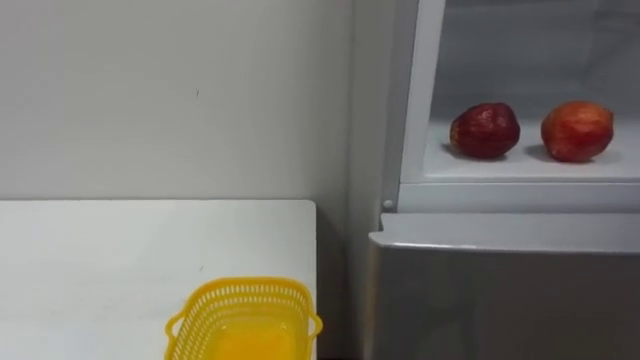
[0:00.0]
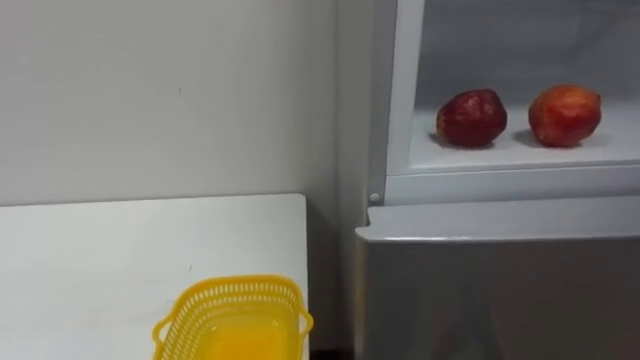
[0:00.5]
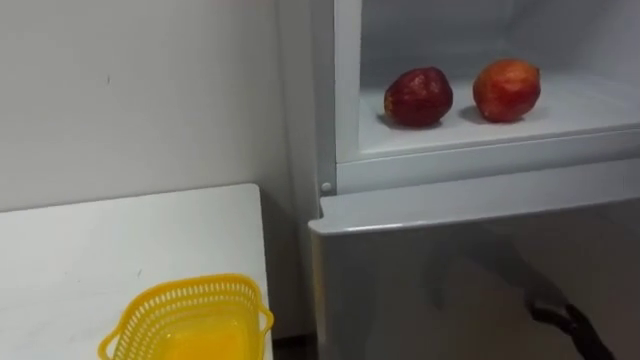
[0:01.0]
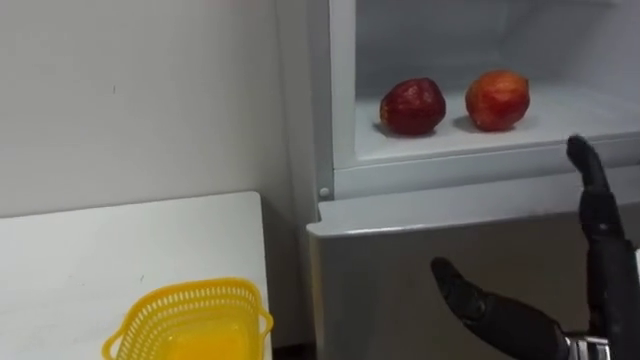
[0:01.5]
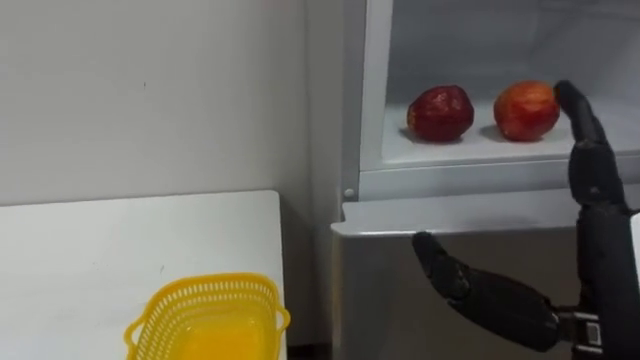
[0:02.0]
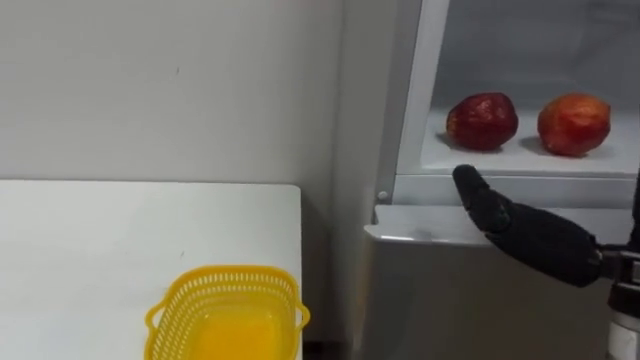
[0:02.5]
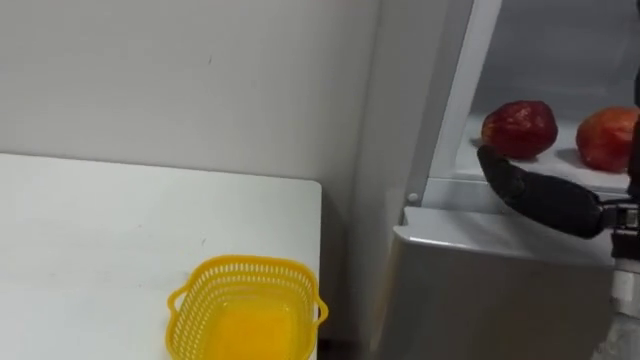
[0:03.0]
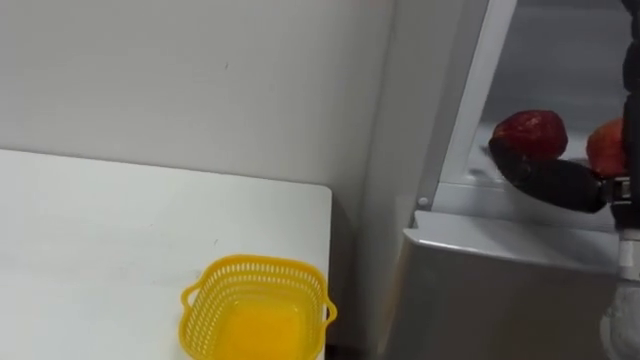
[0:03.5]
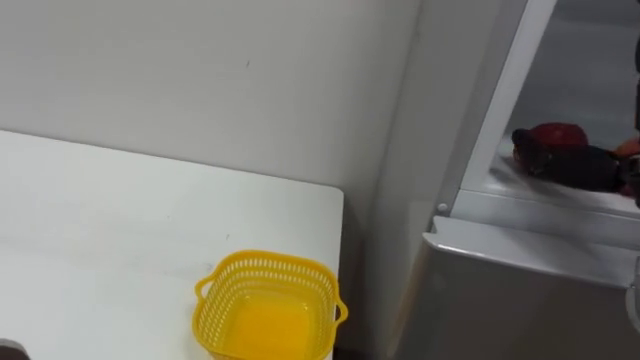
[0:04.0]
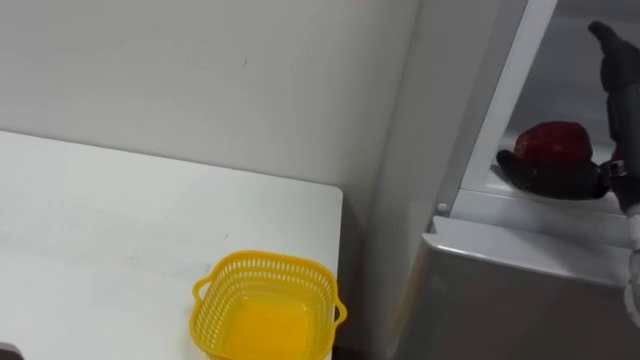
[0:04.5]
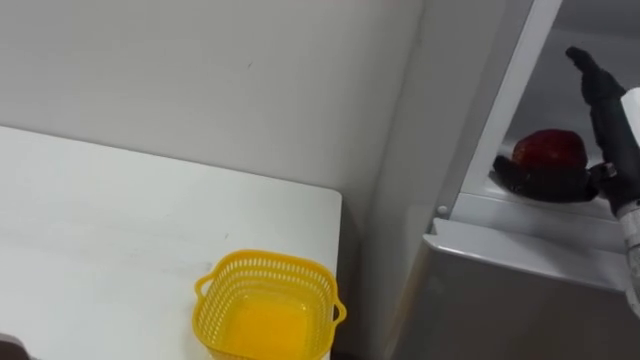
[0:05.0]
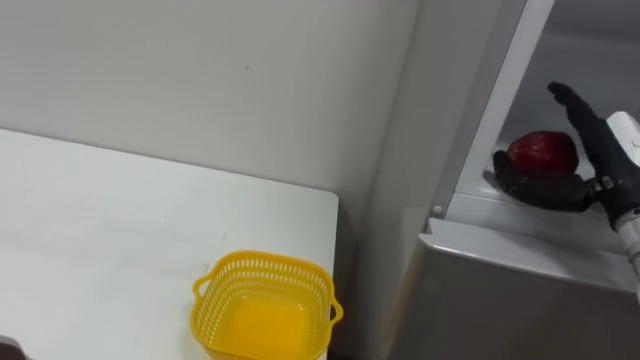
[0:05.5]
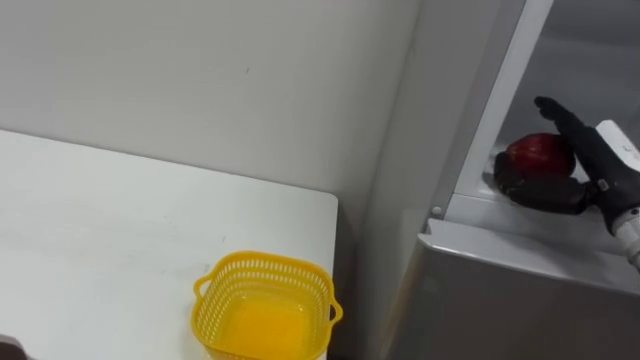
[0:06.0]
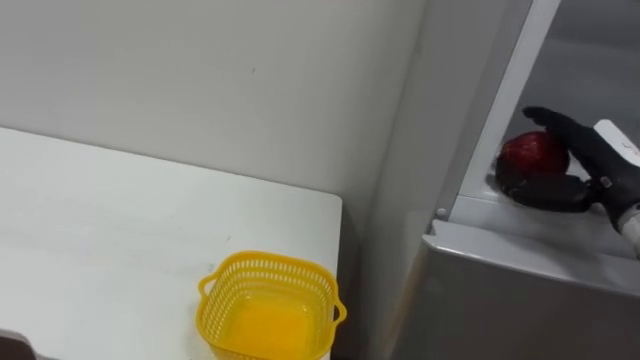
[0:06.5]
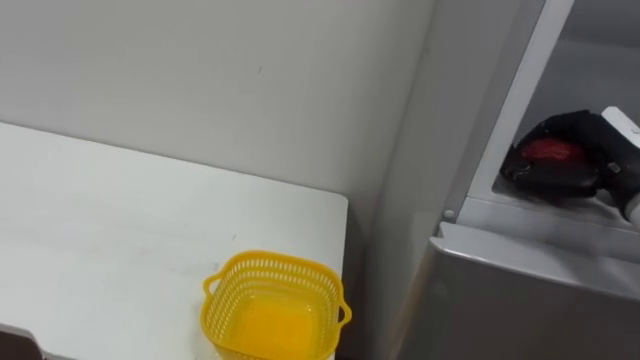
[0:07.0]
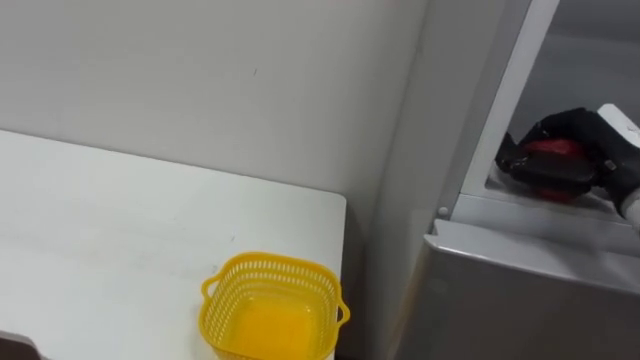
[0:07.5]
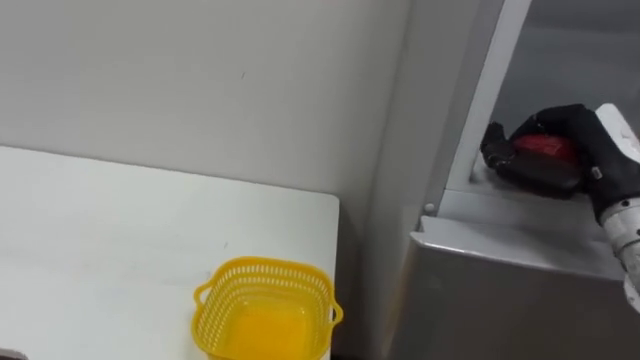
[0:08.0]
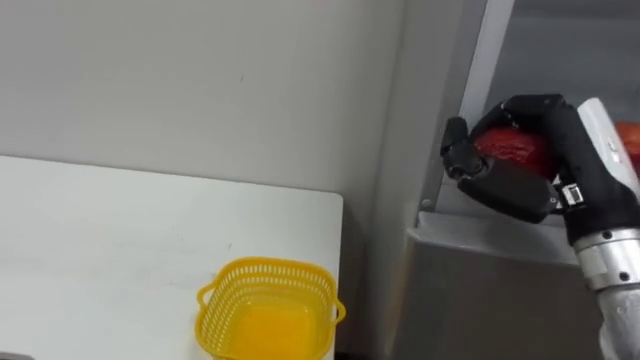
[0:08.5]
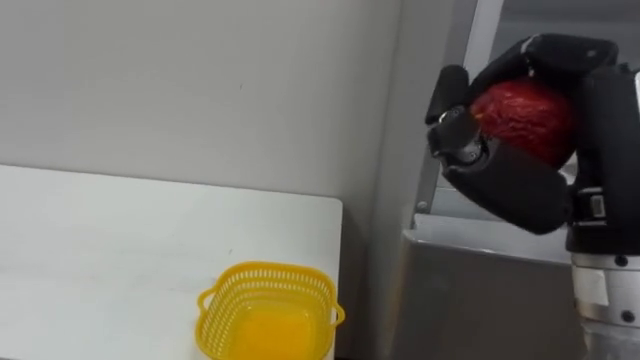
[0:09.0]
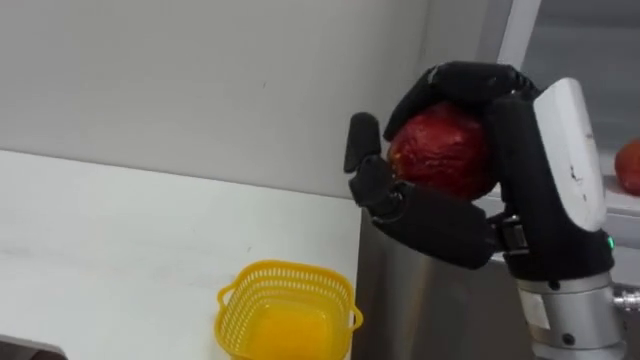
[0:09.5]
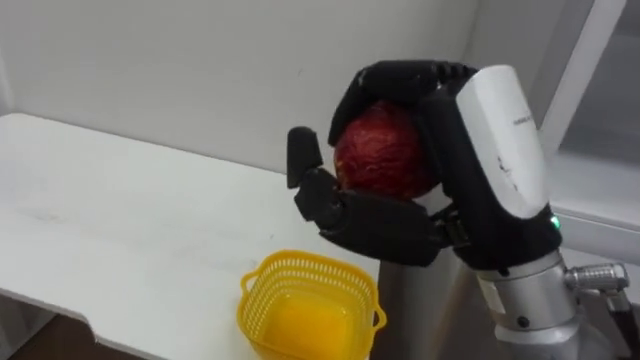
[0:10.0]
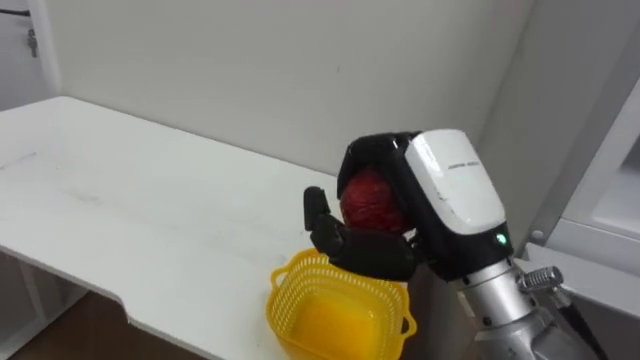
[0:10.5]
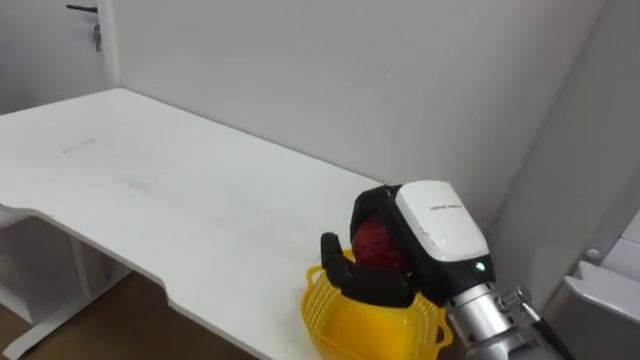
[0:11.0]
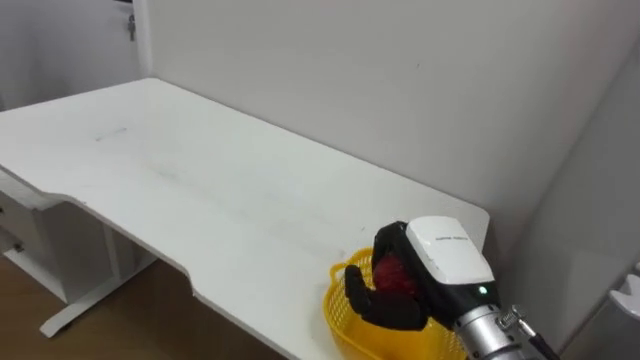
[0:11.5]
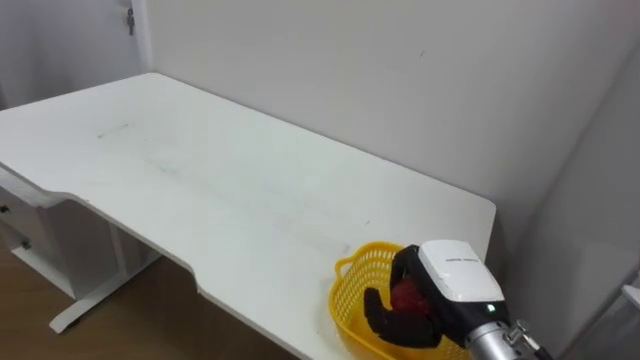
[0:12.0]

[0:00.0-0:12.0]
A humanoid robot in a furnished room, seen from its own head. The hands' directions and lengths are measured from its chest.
Task of the whole recording: Open the refrigerator door, take out the apple and the pomegranate, place them in the fruit basket on the left, and close the refrigerator door.
0:06.0 to 0:08.0: The right hand closes up.
0:08.0 to 0:10.0: The right hand shifts approximately 25 cm to the left, backward and upward.
0:10.0 to 0:12.0: The right hand heads downward and forward, covering about 25 cm.

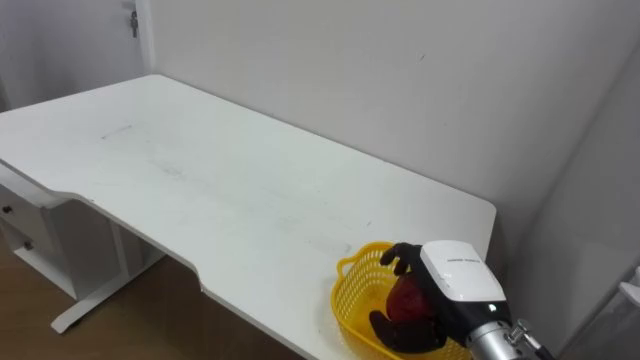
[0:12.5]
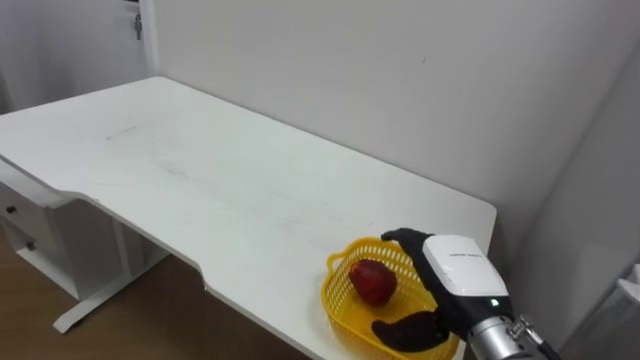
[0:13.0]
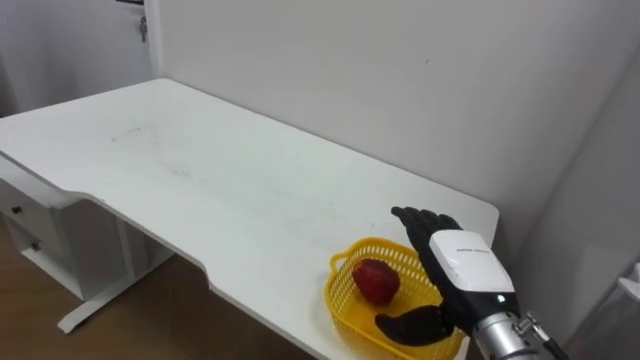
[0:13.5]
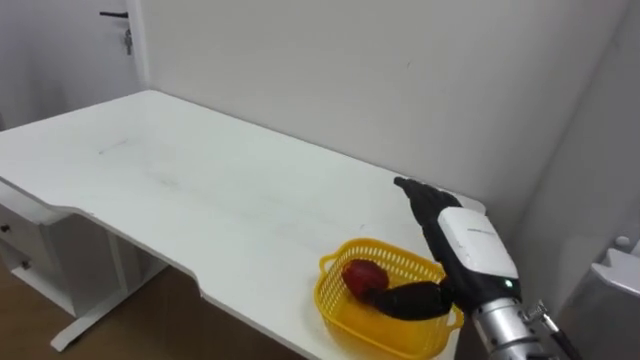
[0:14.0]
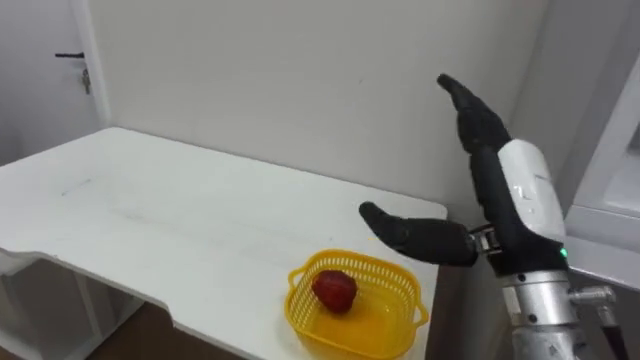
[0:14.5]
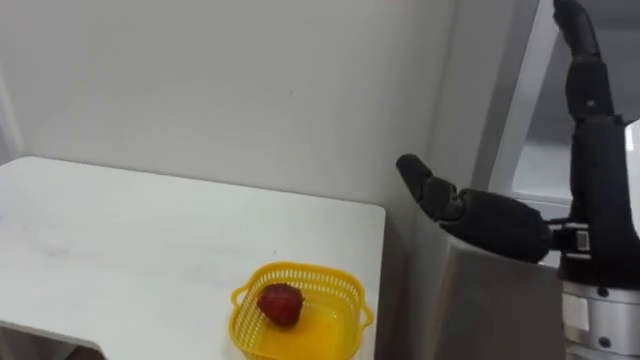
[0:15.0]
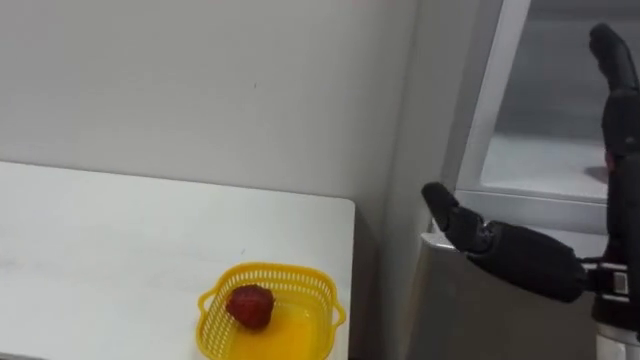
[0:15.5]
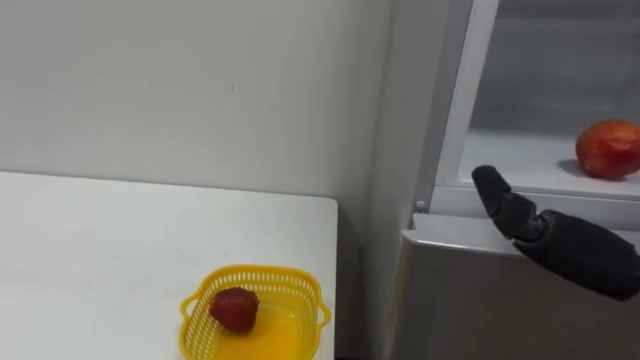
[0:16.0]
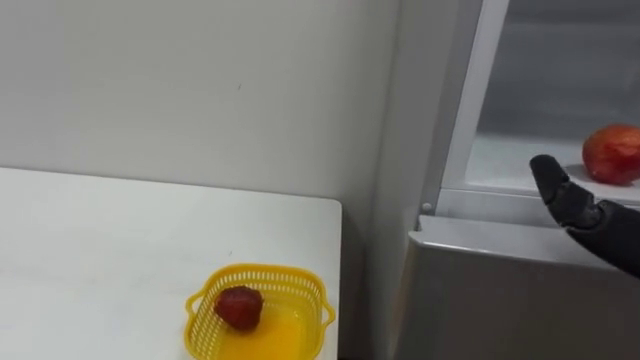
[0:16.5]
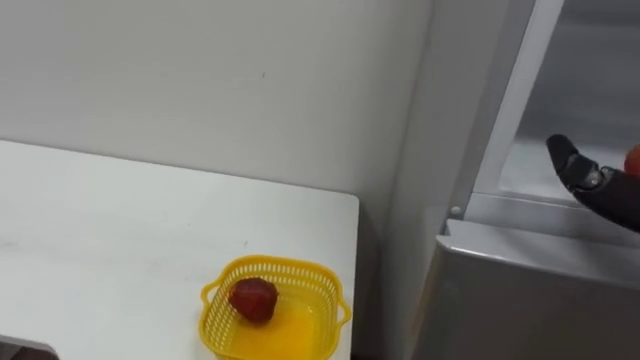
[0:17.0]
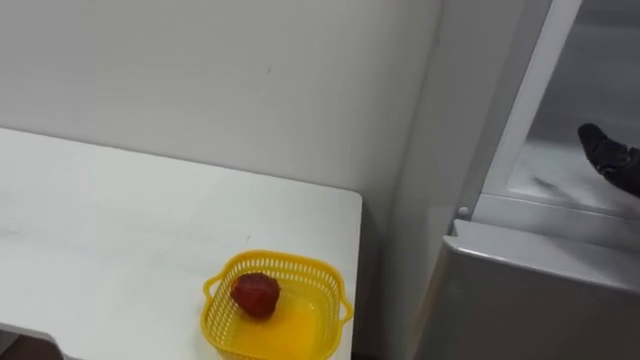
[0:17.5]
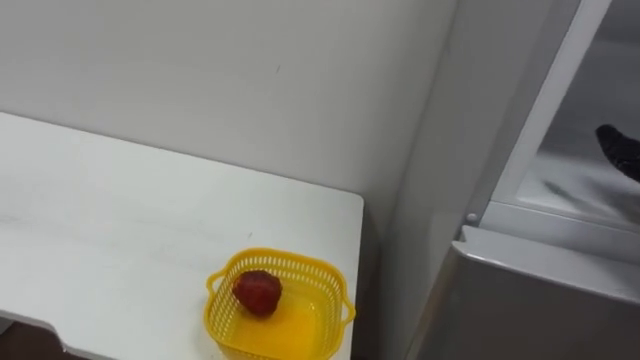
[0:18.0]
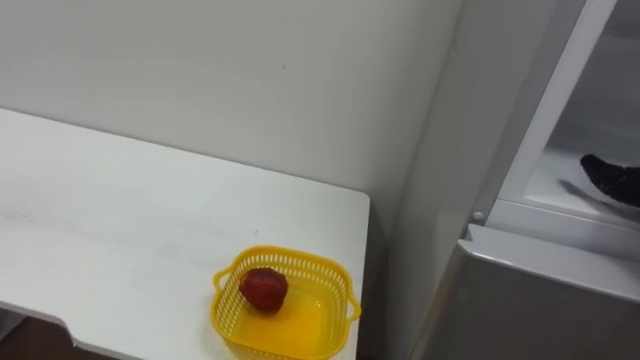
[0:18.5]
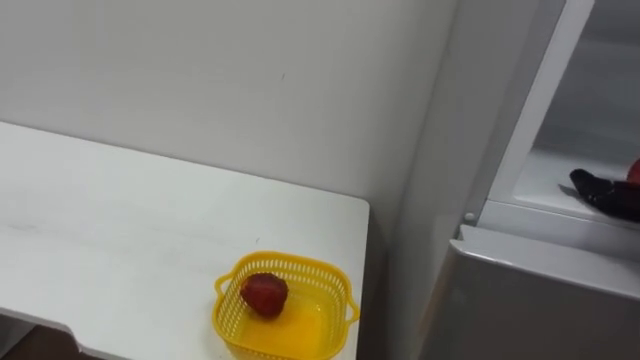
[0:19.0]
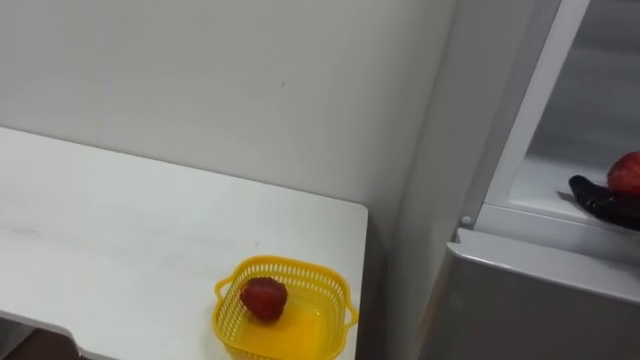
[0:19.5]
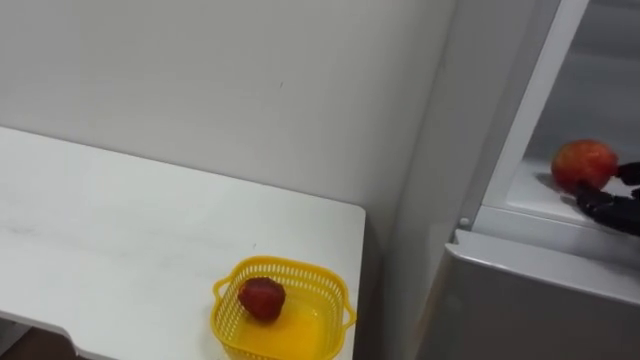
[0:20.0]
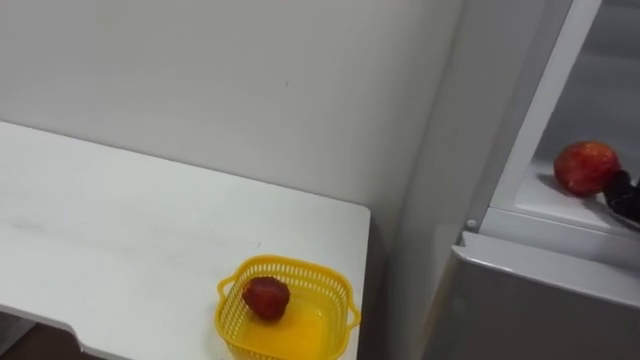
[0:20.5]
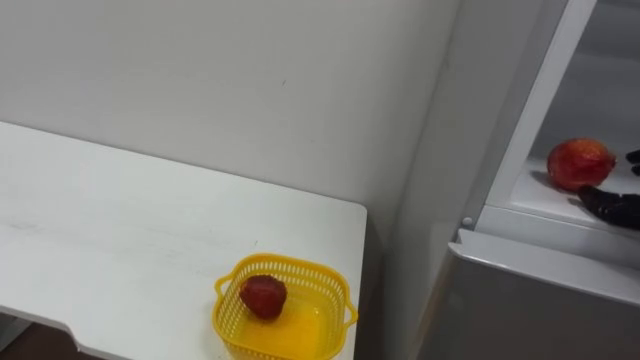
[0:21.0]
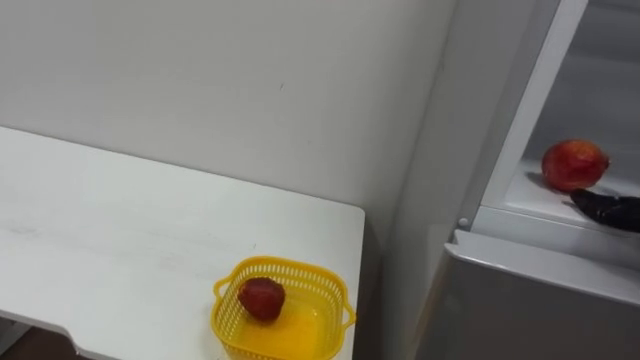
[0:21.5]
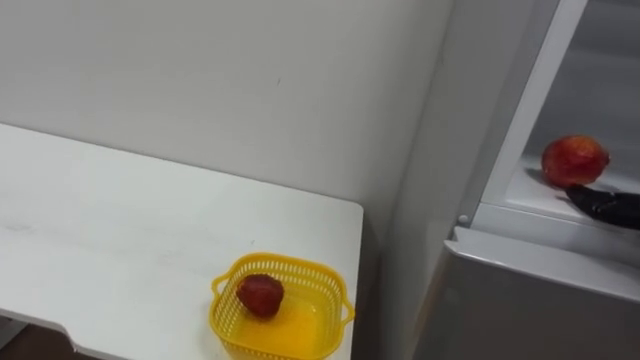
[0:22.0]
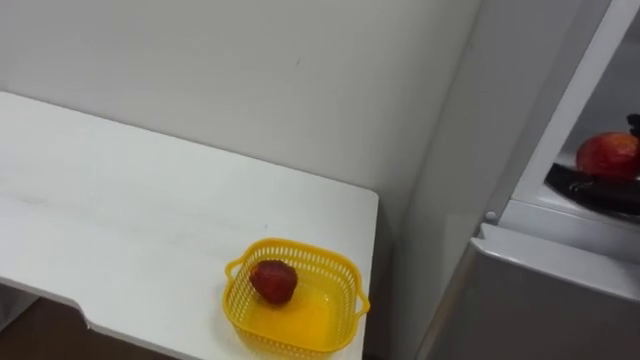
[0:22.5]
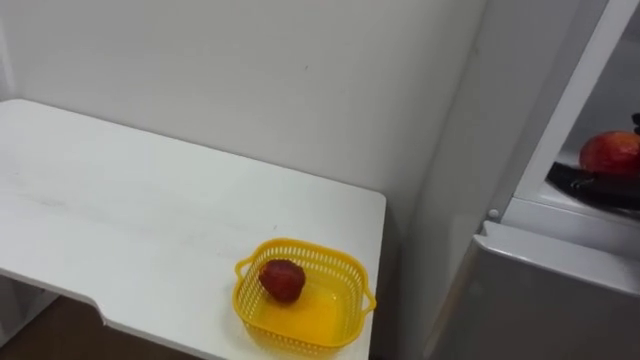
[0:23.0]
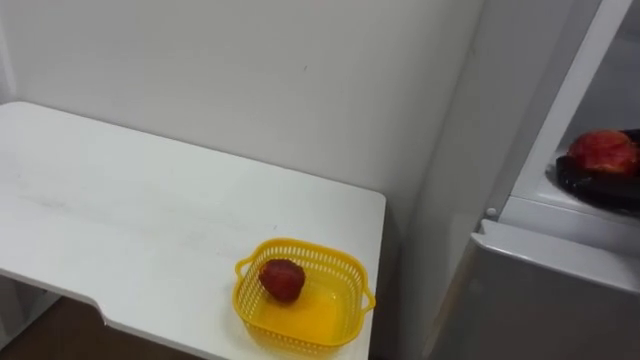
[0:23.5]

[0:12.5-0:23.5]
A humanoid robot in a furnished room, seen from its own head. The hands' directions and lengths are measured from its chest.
Task of the whole recording: Open the refrigerator door, take out the apple and the pomegranate, place them in the fruit basket on the left, and close the refrigerator door.
0:12.5 to 0:14.5: The right hand heads upward, covering roughly 15 cm, and opens up.
